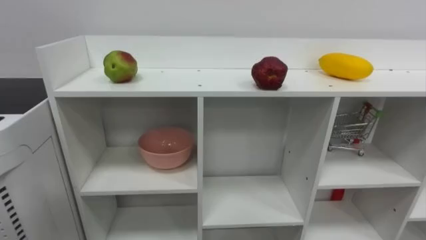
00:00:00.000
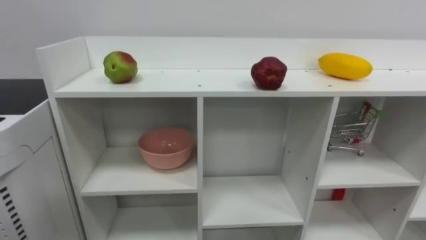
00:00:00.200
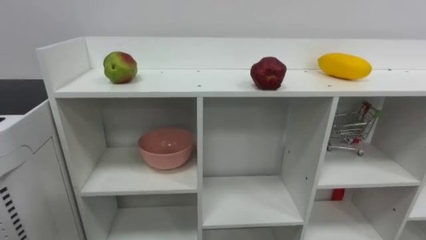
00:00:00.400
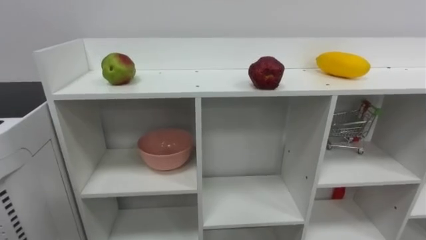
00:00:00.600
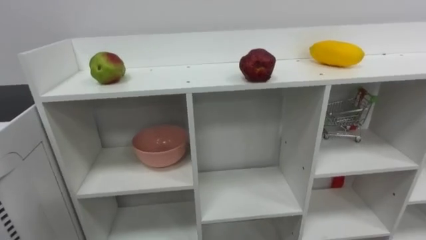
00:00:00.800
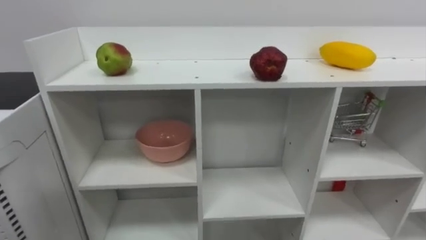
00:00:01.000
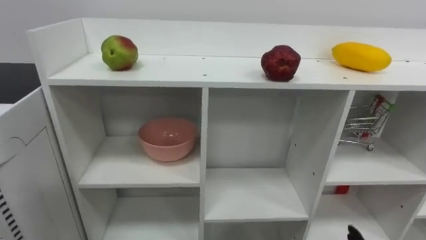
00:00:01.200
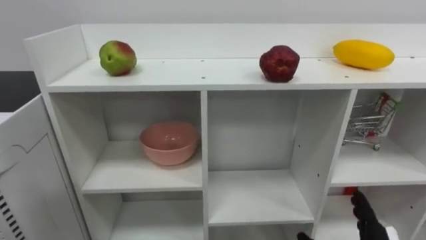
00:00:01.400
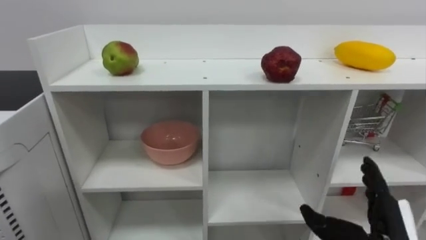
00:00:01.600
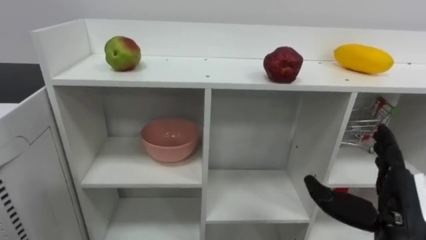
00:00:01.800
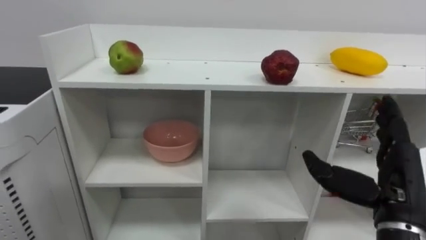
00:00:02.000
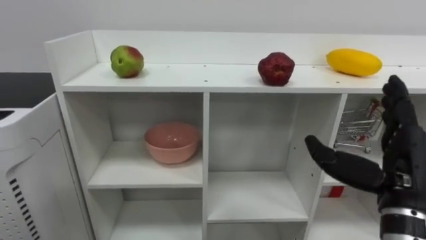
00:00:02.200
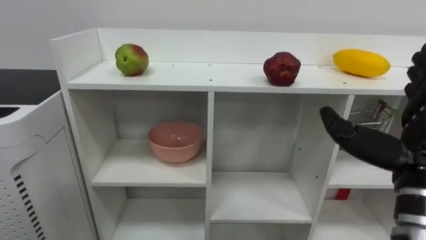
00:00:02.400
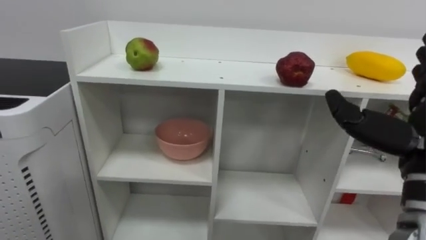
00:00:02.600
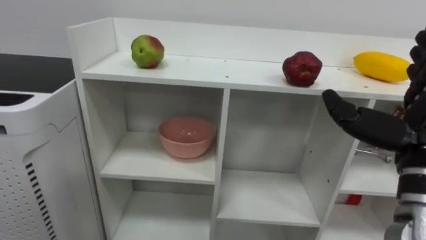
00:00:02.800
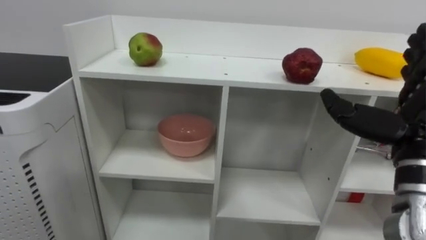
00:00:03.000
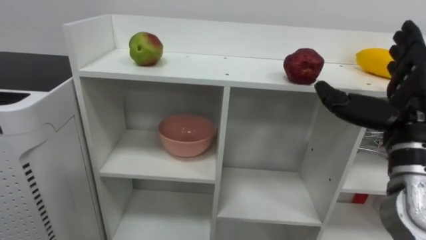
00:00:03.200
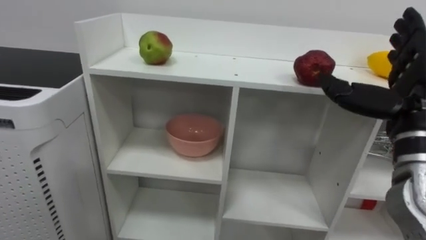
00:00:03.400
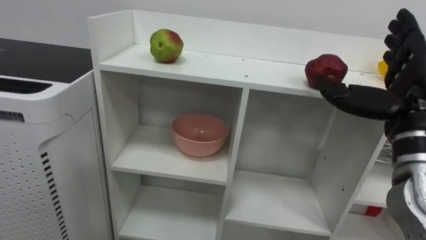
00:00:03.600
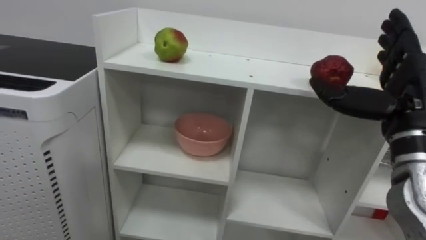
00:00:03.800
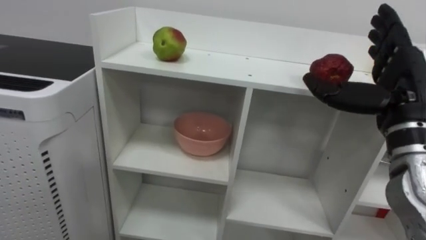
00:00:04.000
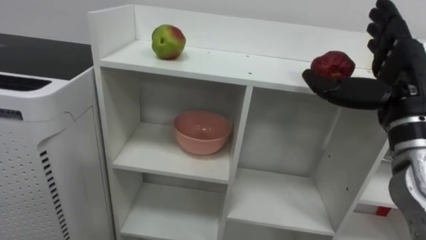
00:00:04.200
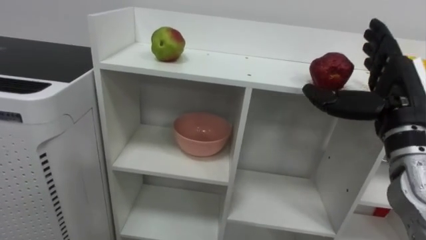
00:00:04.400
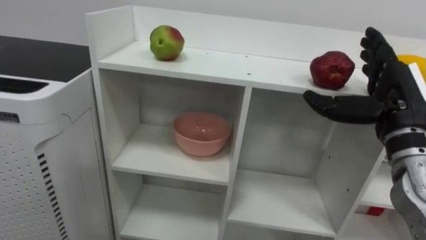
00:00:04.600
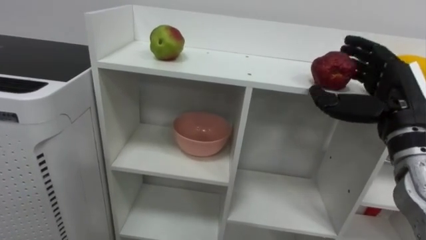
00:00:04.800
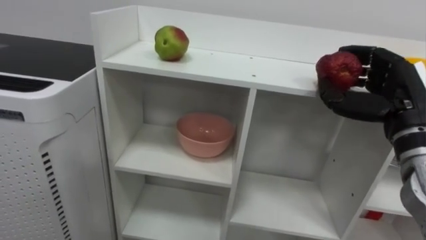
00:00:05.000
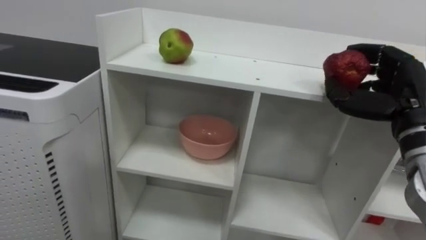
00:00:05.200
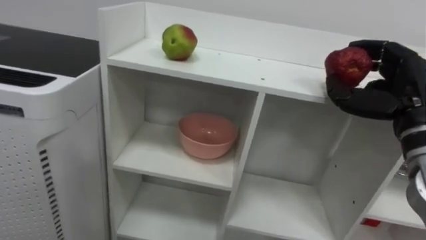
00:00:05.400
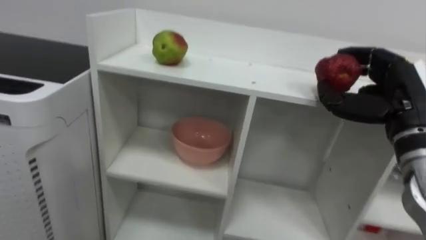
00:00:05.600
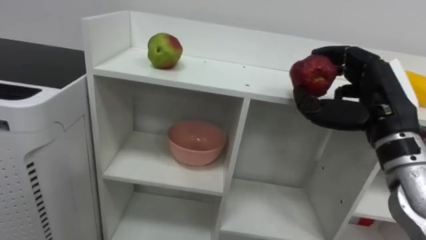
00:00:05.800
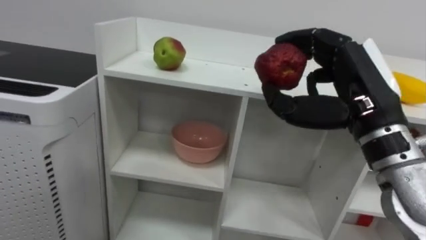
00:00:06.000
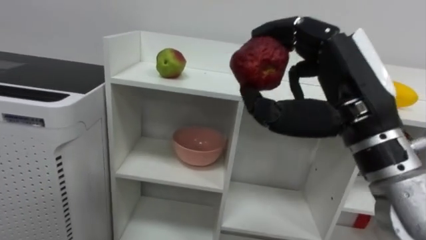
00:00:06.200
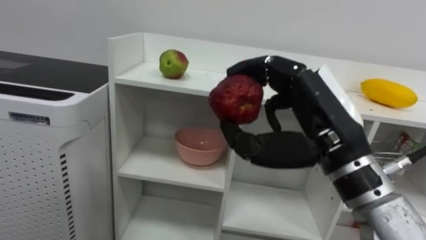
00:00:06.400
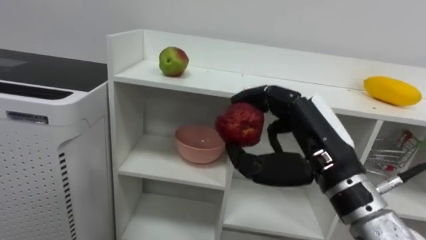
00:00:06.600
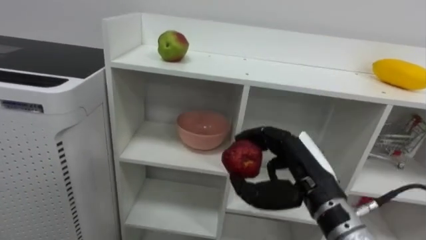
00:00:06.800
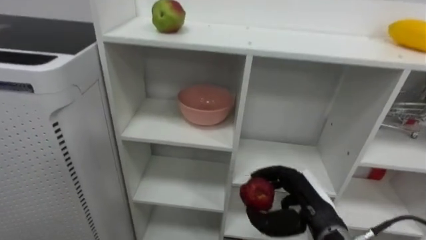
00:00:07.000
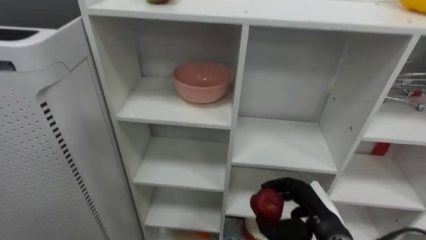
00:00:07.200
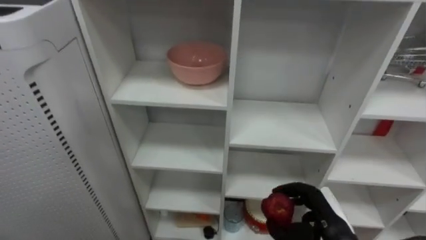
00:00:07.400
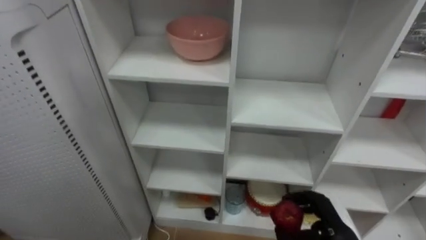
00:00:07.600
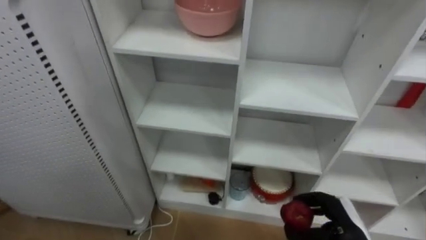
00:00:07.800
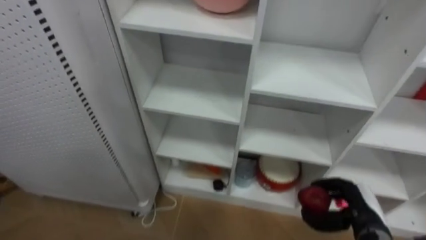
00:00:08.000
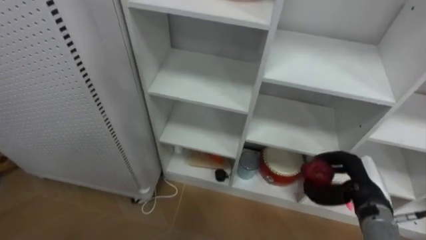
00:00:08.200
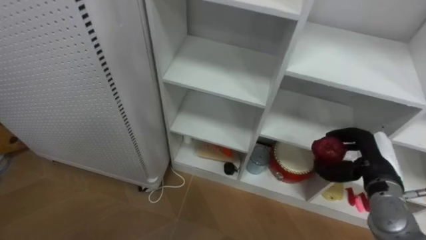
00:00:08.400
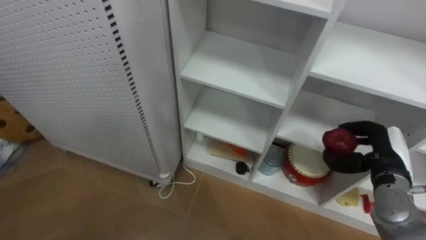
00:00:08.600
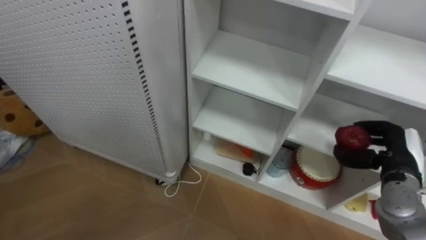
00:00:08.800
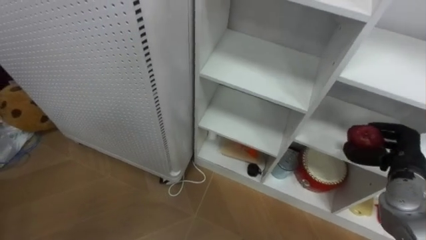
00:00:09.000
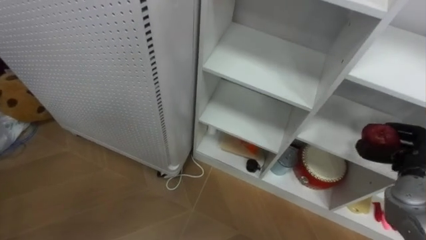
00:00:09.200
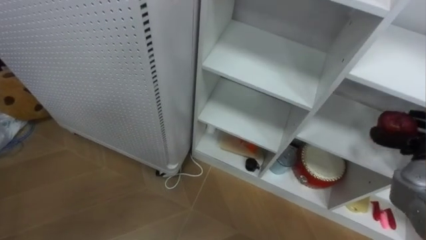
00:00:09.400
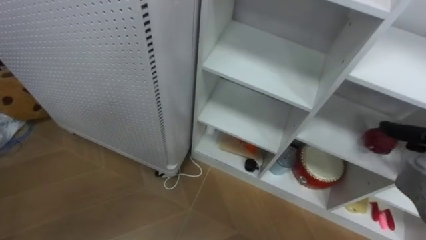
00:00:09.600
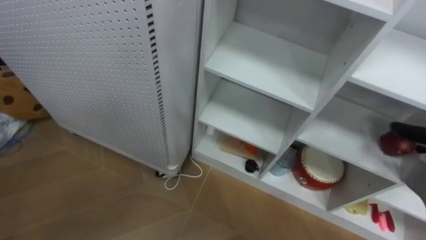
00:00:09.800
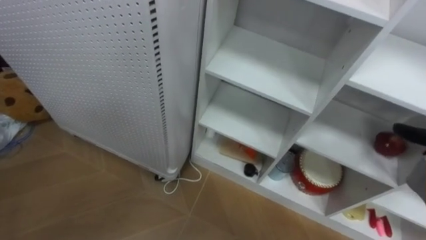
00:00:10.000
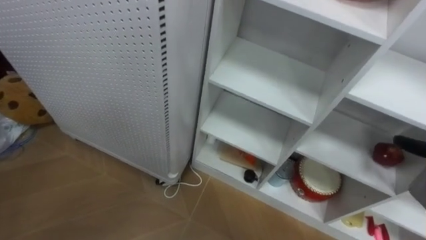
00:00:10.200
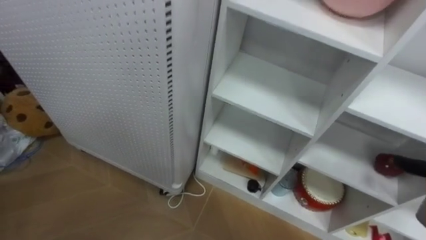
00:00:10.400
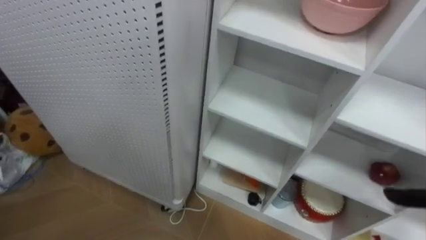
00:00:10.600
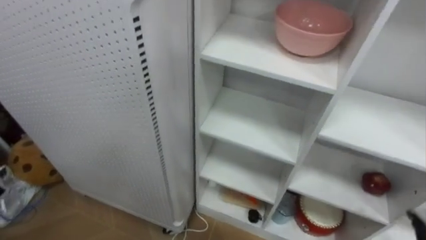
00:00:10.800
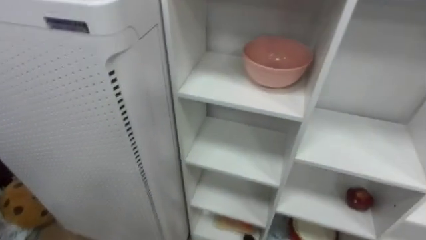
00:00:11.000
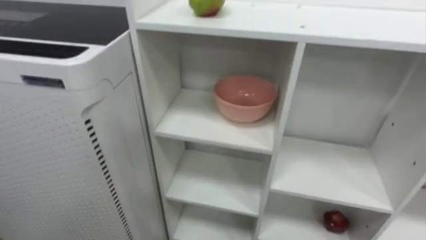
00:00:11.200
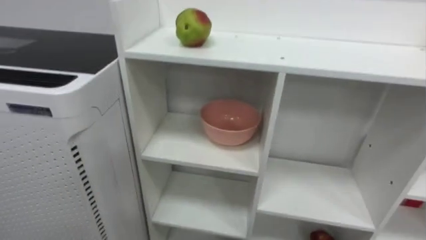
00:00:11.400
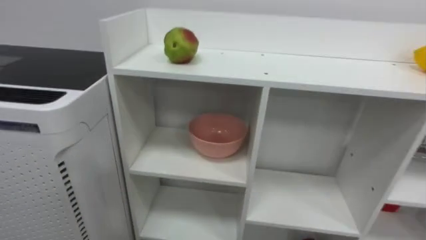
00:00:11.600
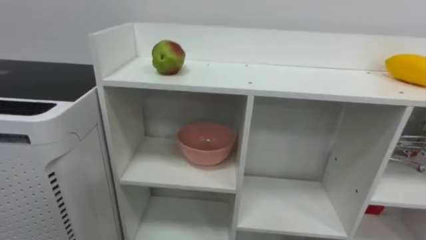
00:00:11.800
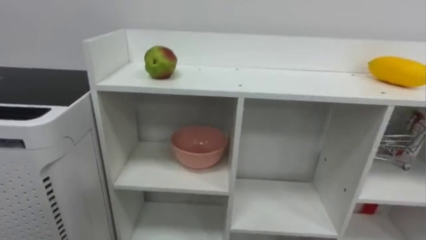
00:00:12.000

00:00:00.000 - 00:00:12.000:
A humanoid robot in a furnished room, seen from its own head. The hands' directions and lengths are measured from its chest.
Task of the whole recording: Put the apple in the cell in the second column from the left and the second row from the top.
00:00:01.600 - 00:00:03.000: The right hand moves upward, about 15 cm.
00:00:03.000 - 00:00:04.400: The right hand goes approximately 5 cm forward.
00:00:04.400 - 00:00:06.000: The right hand travels to the left by some 5 cm, and closes.
00:00:06.000 - 00:00:07.600: The right hand heads downward, covering about 25 cm.
00:00:07.600 - 00:00:09.000: The right hand is displaced to the right, upward and forward by approximately 15 cm.

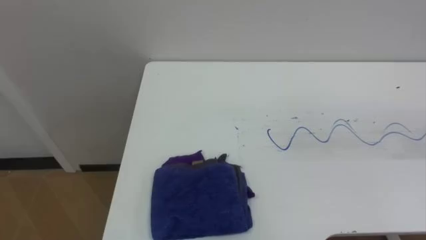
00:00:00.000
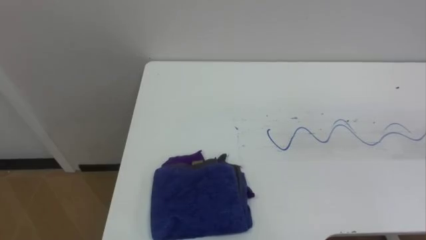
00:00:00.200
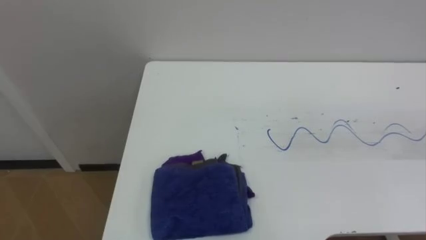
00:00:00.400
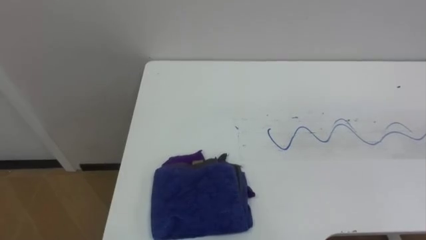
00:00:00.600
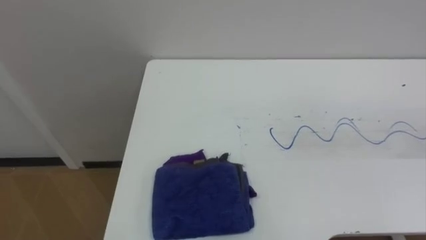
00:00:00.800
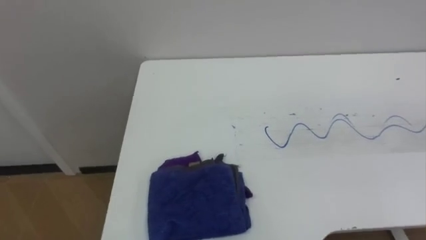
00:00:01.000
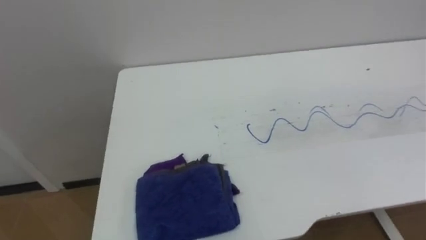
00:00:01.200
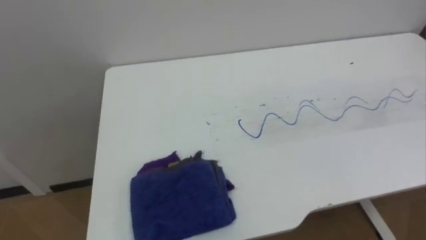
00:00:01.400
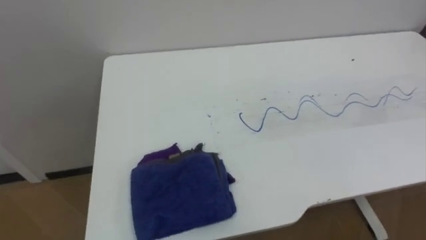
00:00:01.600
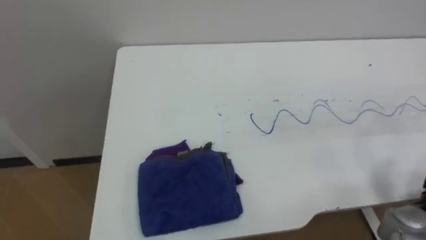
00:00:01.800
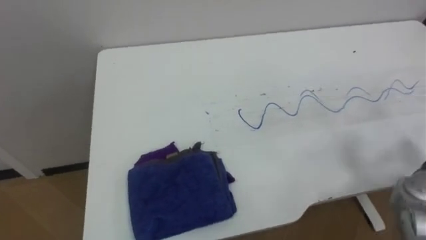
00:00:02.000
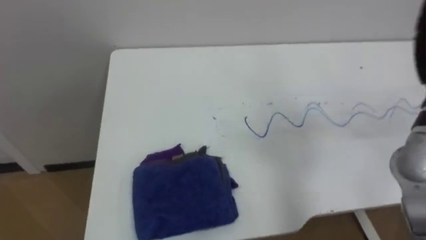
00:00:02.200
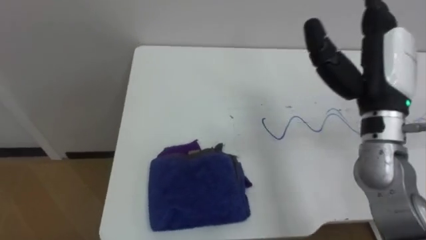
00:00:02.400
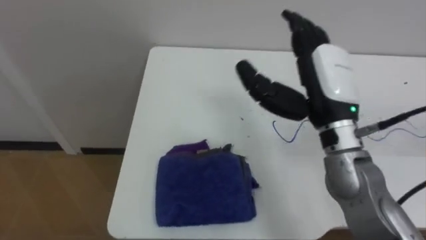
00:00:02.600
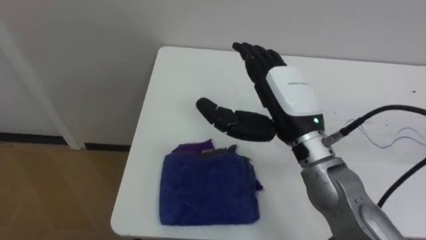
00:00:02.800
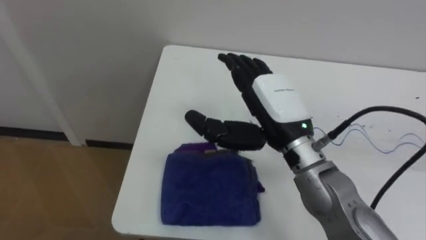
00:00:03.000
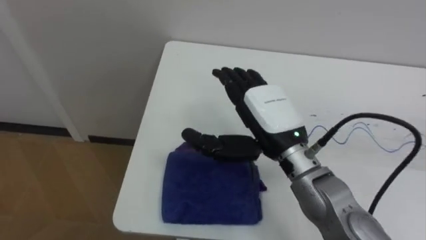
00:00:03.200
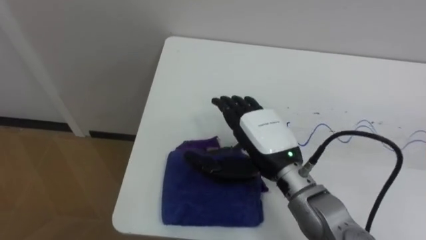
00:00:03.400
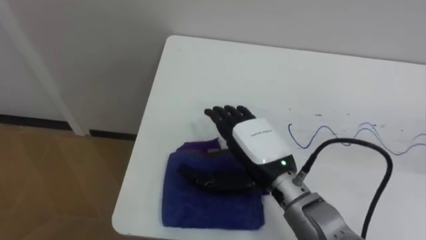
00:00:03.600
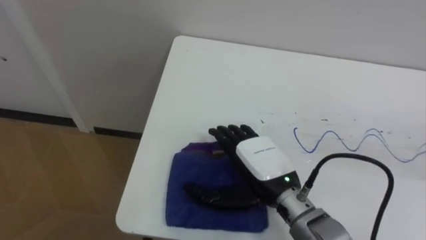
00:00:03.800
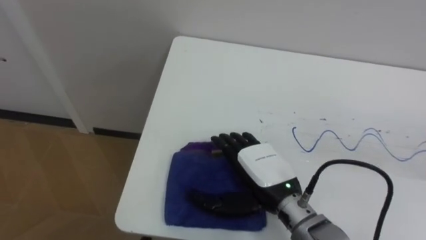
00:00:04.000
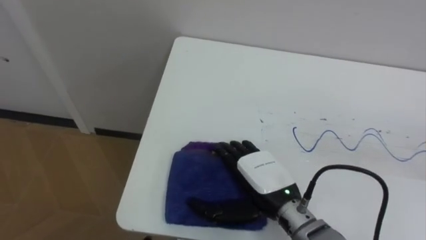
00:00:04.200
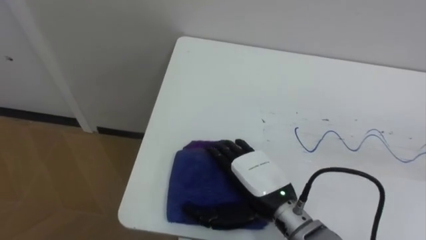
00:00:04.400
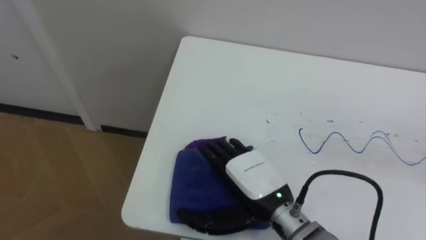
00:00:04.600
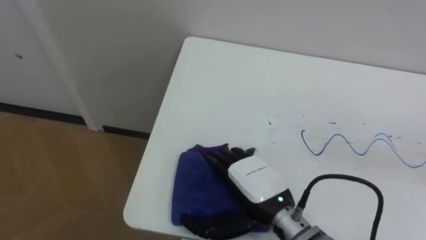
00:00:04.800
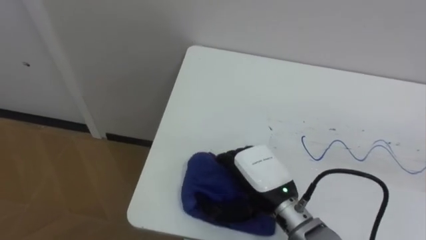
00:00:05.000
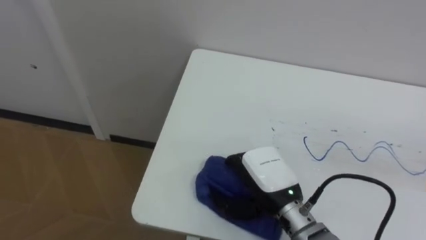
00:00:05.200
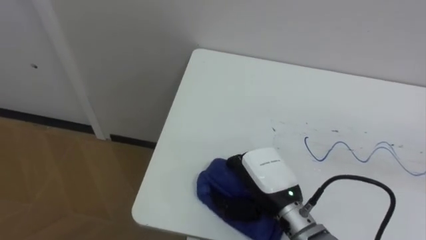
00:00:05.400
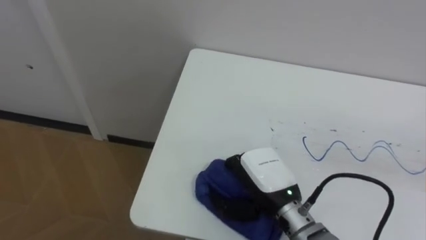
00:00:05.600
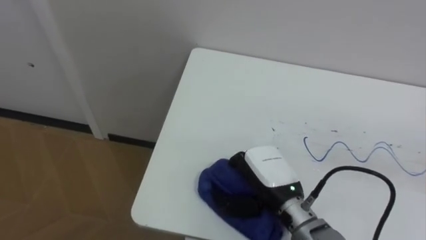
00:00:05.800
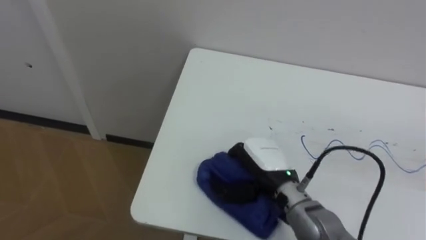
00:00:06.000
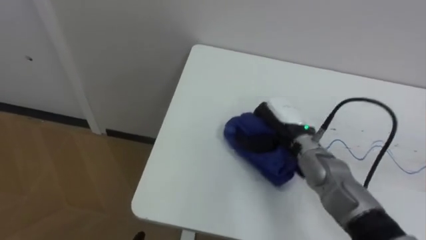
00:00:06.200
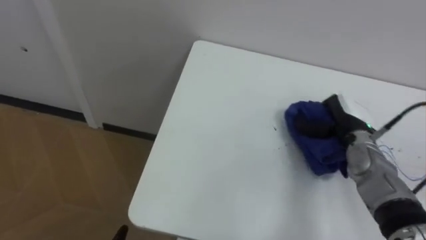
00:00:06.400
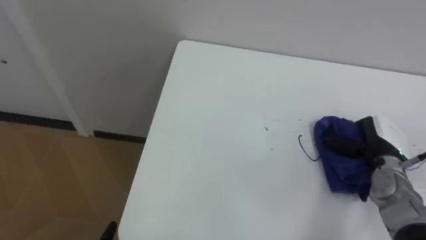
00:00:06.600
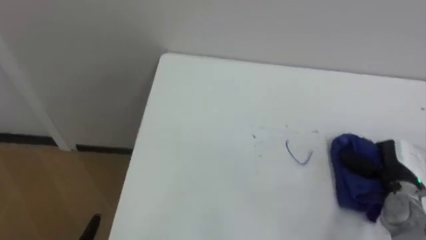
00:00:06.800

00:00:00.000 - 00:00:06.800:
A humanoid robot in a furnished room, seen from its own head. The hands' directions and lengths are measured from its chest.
Task of the whole recording: Wipe the blue pen marks off the table with the rag.
00:00:02.800 - 00:00:04.000: The right hand moves downward and backward, roughly 15 cm.
00:00:04.000 - 00:00:05.400: The right hand closes up.
00:00:05.400 - 00:00:06.800: The right hand shifts some 25 cm to the right.
